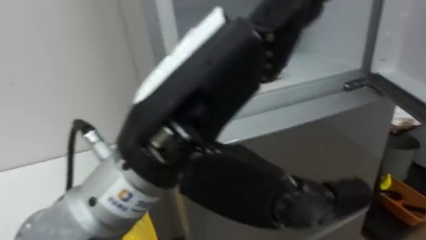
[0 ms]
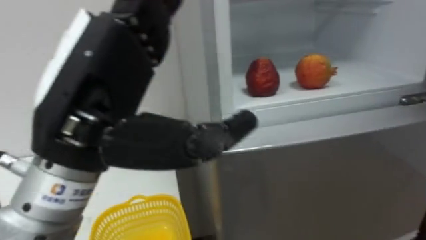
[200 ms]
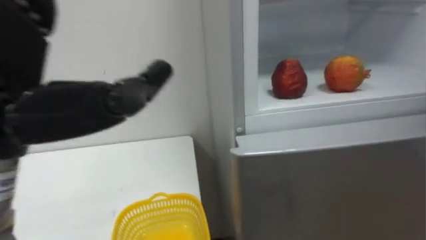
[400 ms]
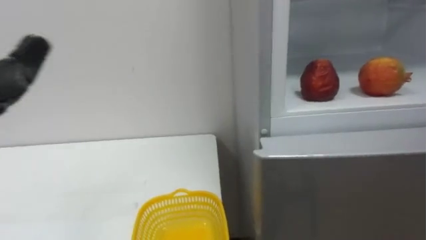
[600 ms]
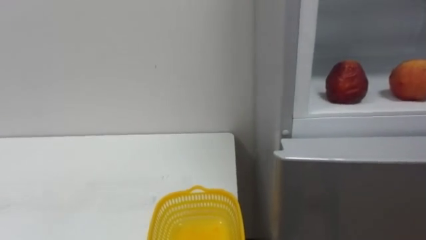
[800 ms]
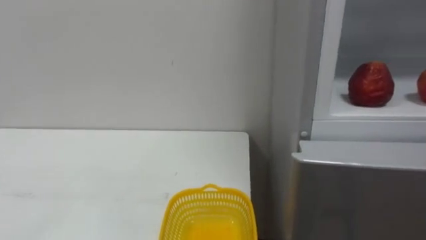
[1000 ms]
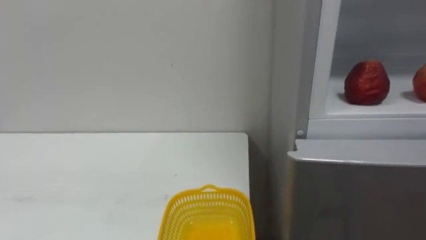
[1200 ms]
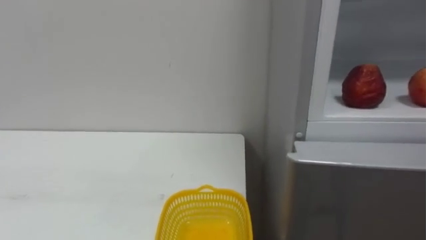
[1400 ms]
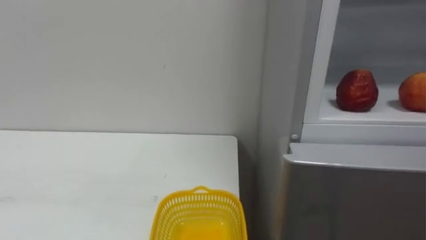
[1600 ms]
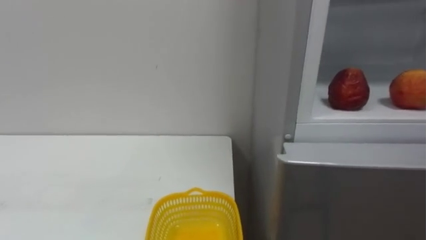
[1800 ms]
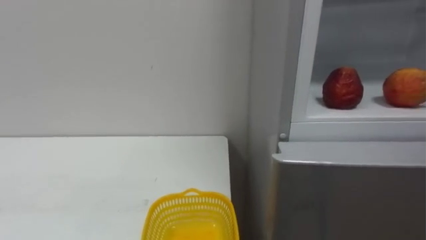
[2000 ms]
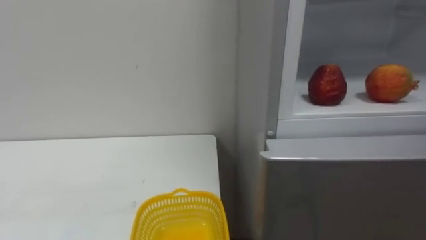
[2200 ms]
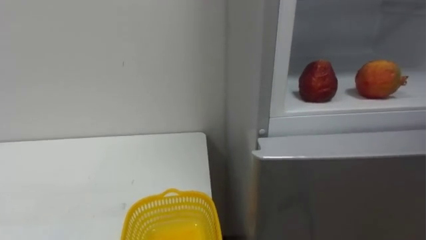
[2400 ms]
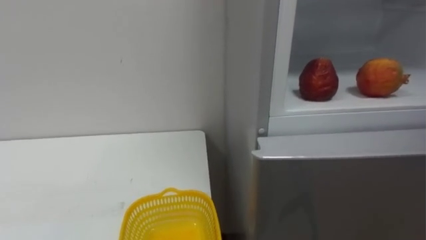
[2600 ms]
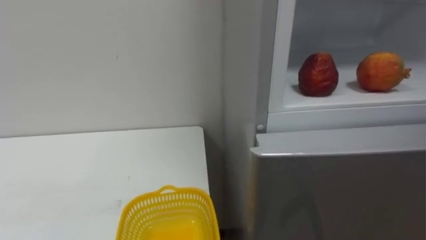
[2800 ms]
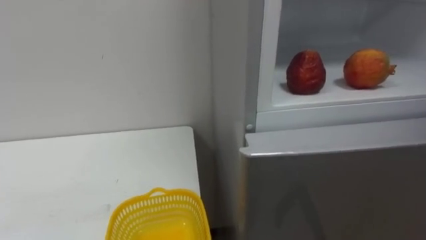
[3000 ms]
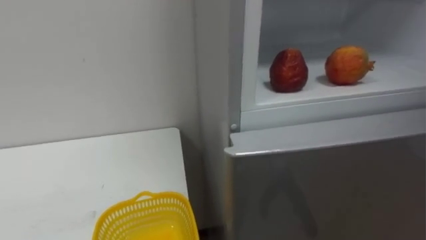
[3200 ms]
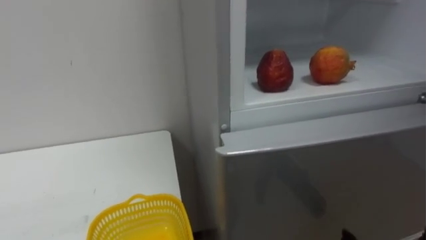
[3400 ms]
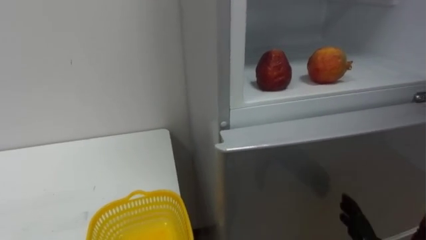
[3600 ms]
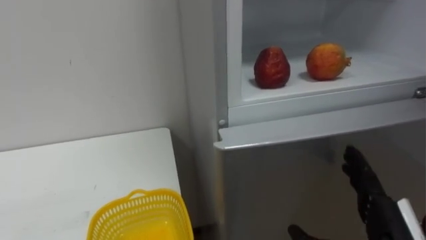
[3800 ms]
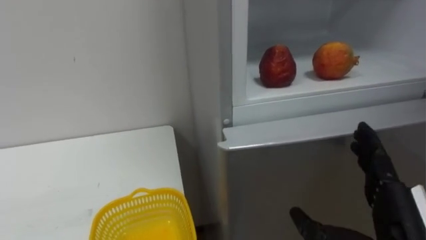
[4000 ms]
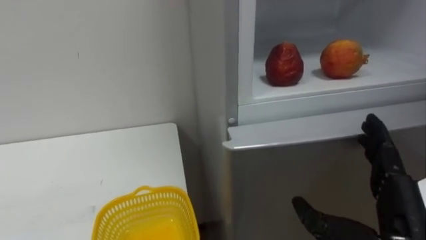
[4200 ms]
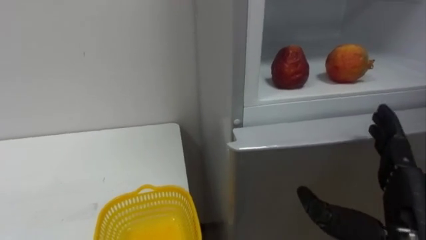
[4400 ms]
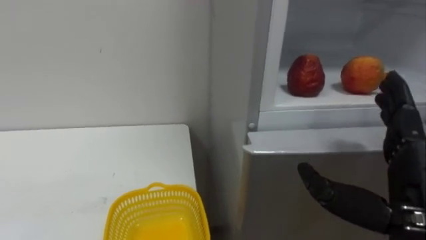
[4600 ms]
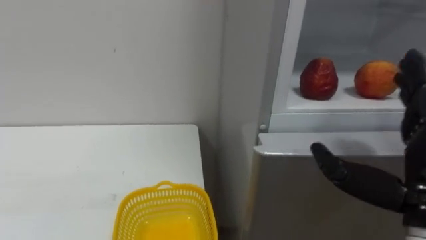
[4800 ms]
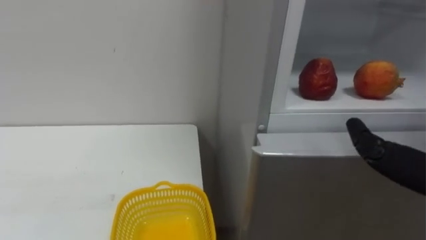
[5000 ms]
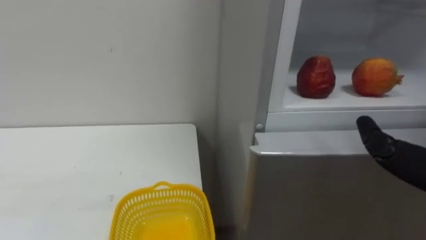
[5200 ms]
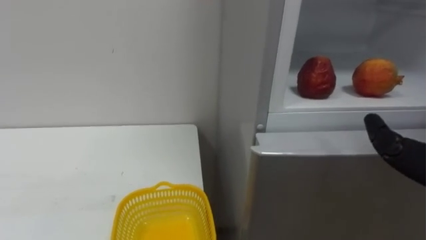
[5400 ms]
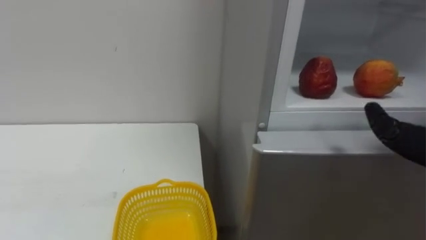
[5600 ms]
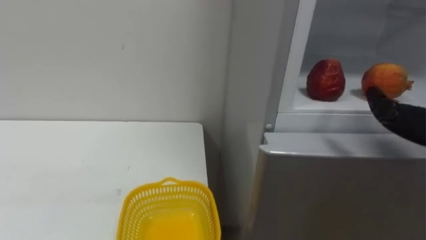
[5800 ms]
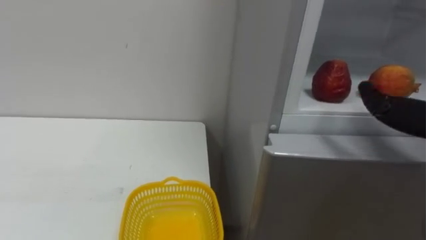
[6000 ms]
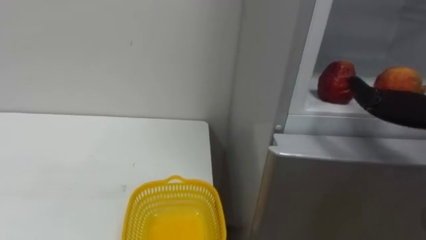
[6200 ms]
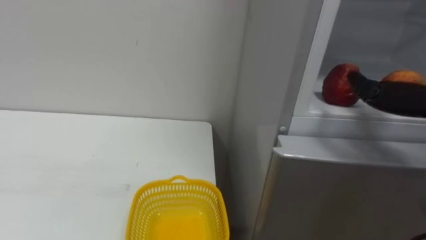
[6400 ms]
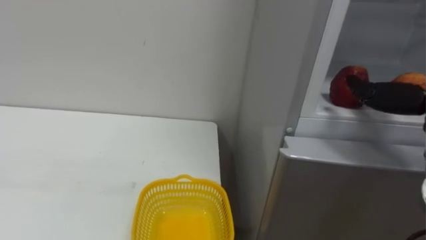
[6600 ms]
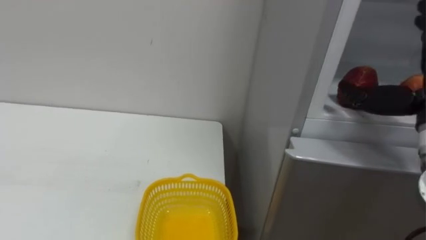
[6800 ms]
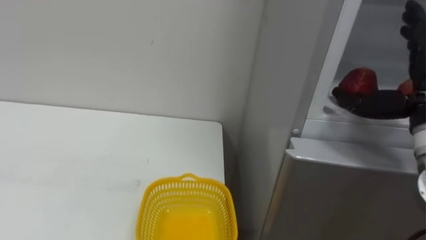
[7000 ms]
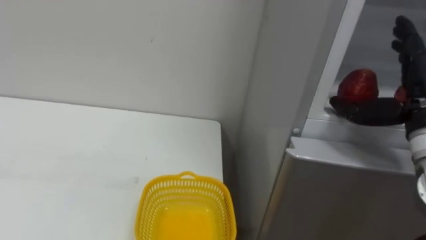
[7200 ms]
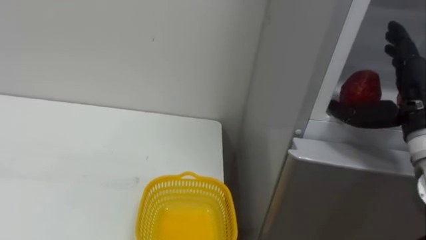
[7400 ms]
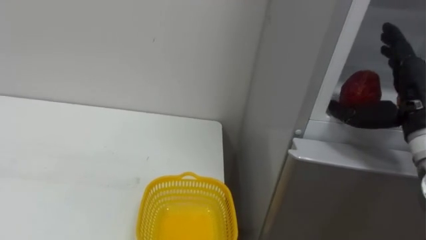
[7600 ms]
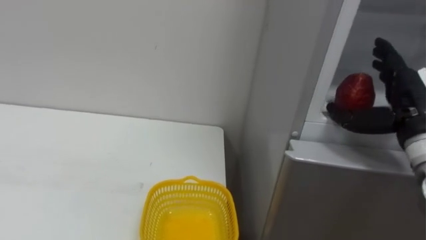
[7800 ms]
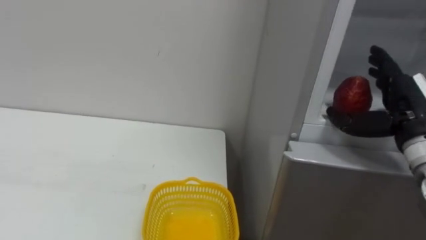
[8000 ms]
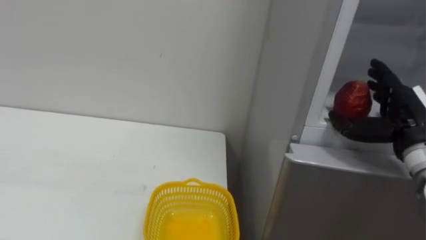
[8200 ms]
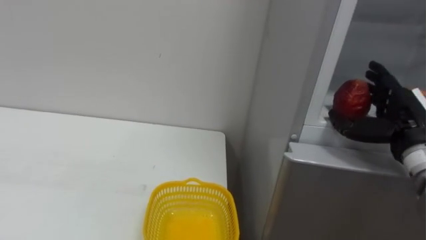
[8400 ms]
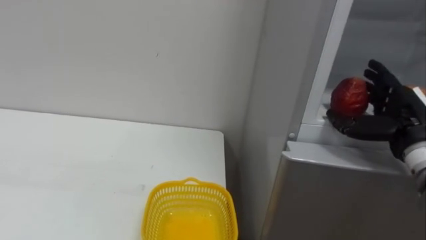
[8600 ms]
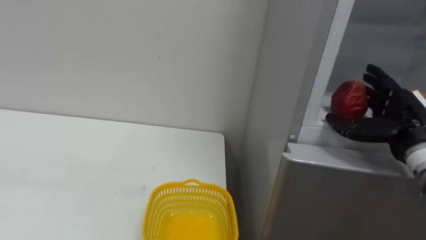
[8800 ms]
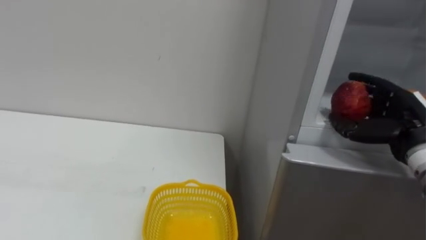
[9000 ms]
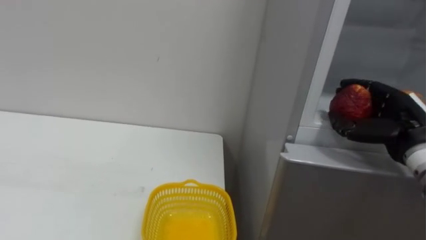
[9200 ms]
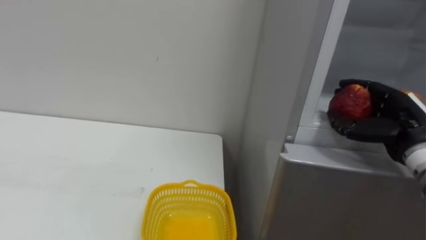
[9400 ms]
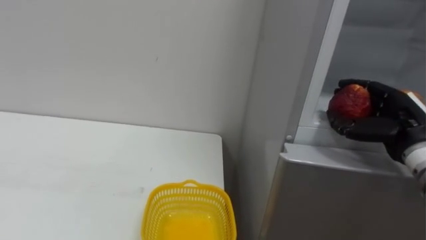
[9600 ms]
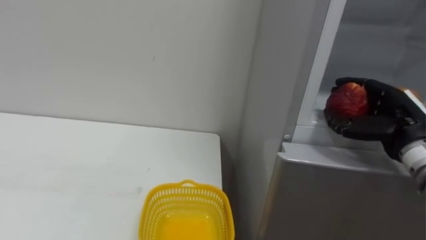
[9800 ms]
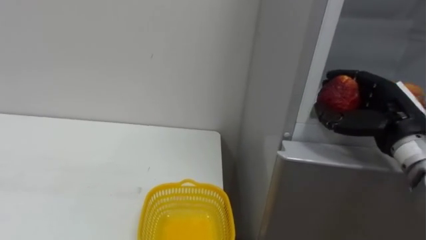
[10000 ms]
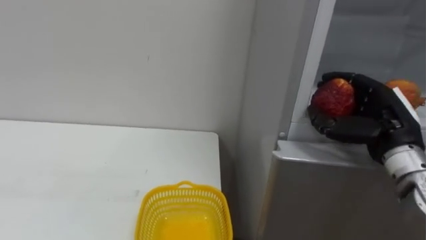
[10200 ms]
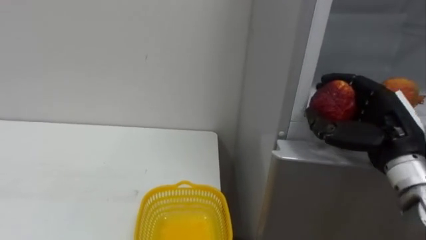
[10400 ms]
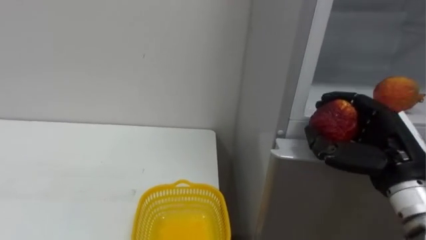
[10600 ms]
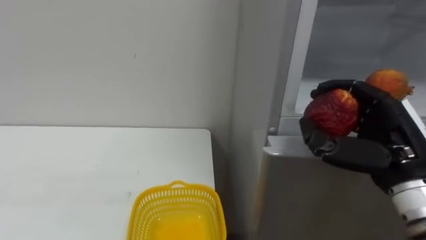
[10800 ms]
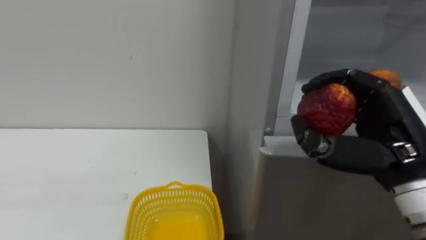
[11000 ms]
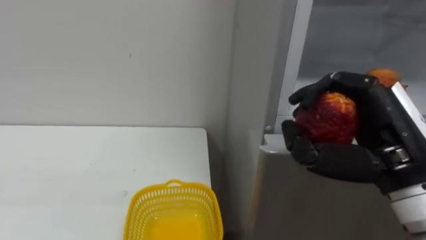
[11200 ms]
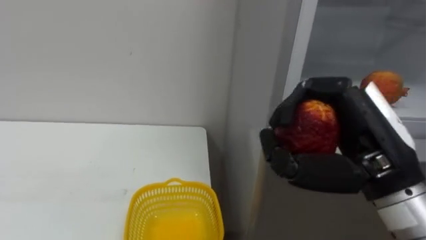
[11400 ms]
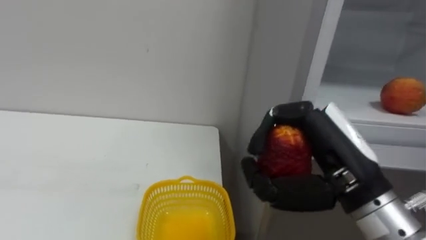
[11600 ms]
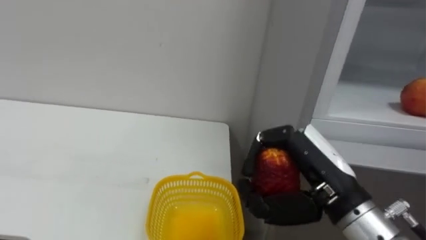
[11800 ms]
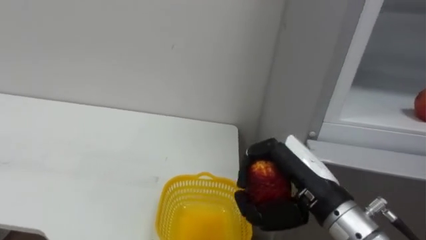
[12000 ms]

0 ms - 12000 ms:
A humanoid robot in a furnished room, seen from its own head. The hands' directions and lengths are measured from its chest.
Task of the whole recording: Open the refrigerator door, take out the apple and the pomegranate, place them in the fruit basket on the left, and close the refrigerator door.
7600 ms - 9000 ms: The right hand travels downward by about 5 cm.
9000 ms - 10400 ms: The right hand heads to the left, covering approximately 5 cm.
10400 ms - 12000 ms: The right hand heads to the left and backward, covering about 15 cm.

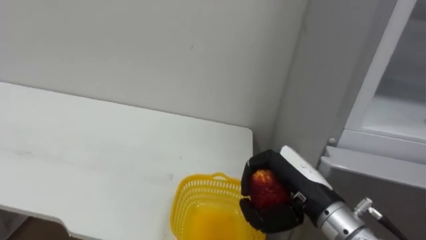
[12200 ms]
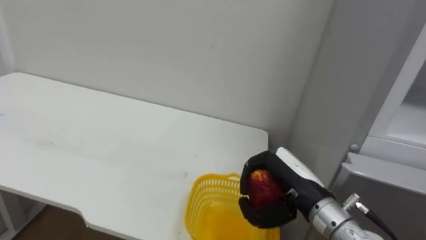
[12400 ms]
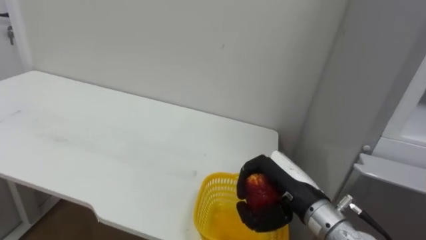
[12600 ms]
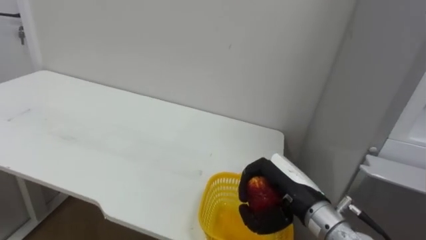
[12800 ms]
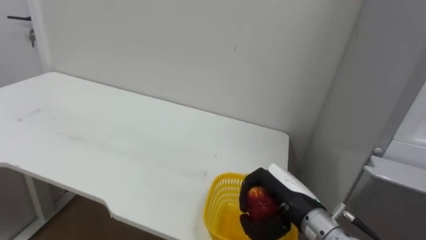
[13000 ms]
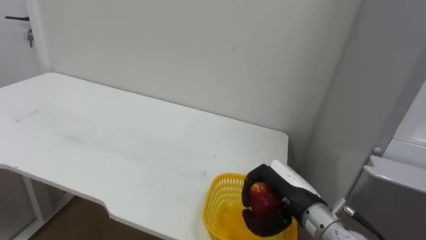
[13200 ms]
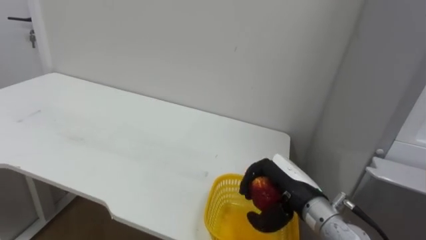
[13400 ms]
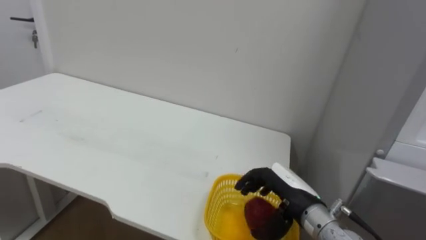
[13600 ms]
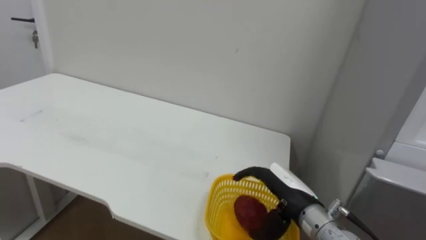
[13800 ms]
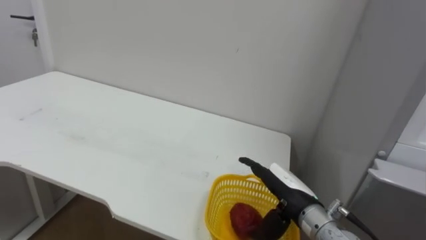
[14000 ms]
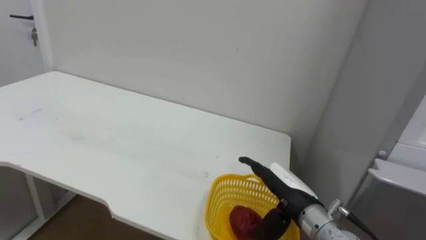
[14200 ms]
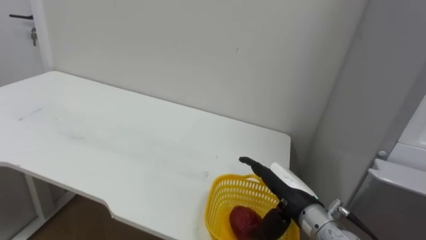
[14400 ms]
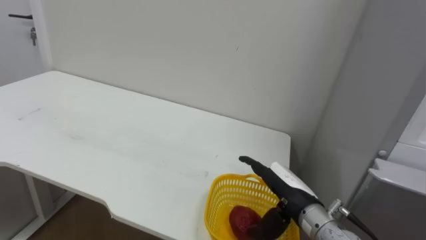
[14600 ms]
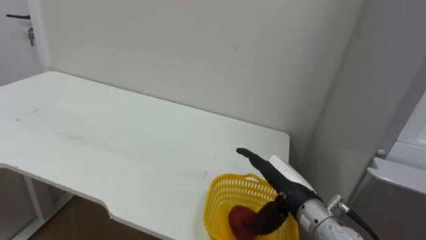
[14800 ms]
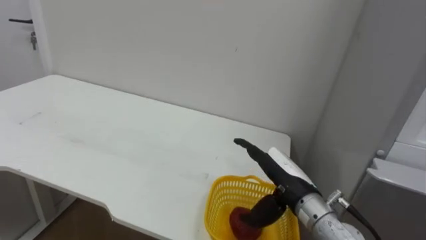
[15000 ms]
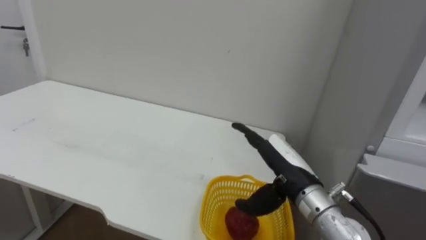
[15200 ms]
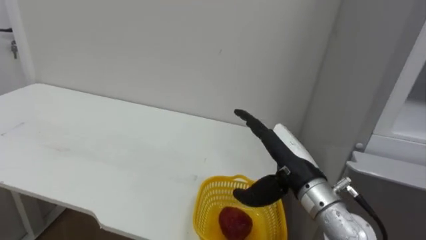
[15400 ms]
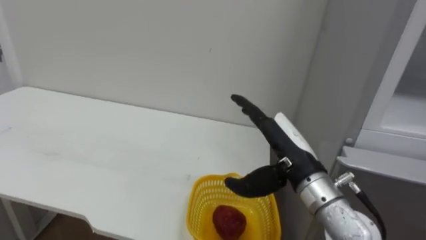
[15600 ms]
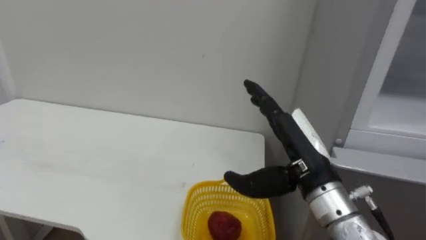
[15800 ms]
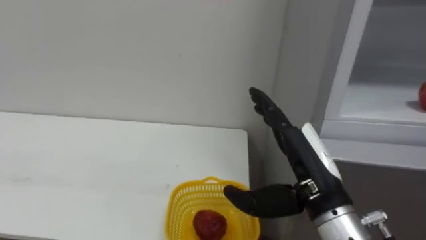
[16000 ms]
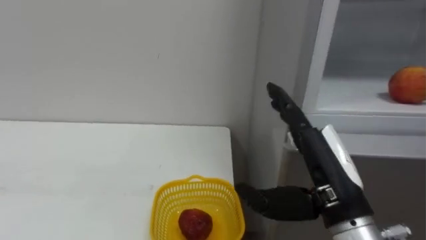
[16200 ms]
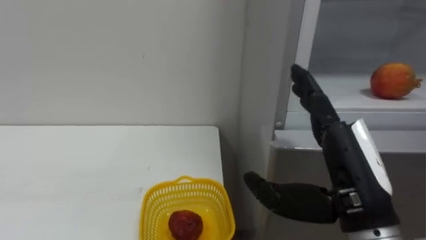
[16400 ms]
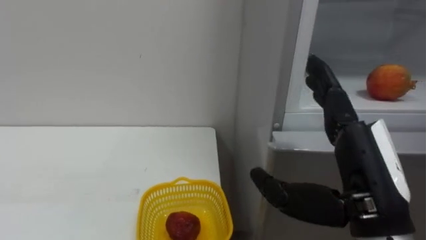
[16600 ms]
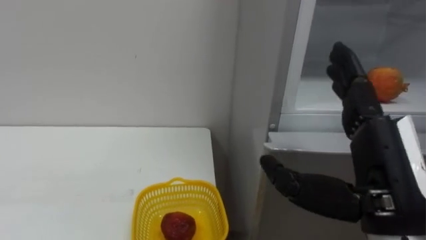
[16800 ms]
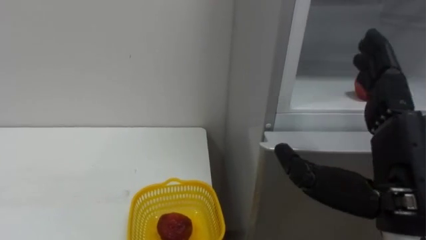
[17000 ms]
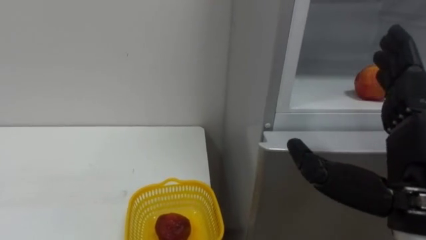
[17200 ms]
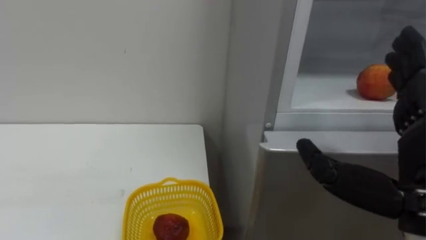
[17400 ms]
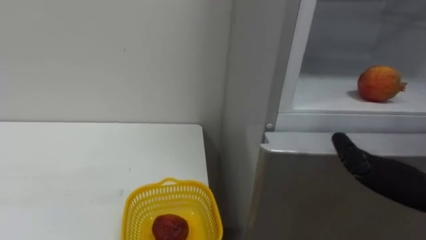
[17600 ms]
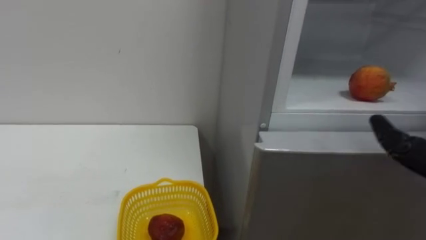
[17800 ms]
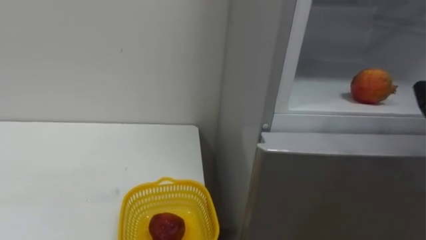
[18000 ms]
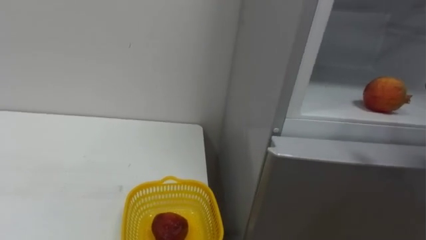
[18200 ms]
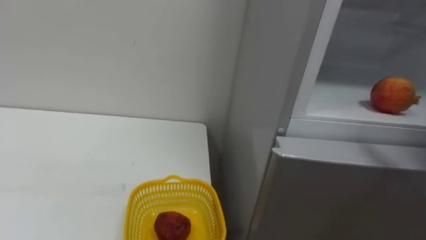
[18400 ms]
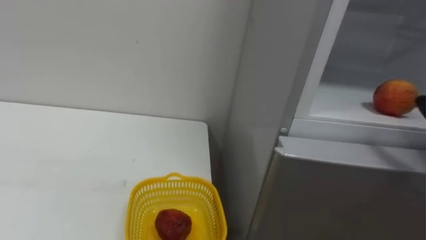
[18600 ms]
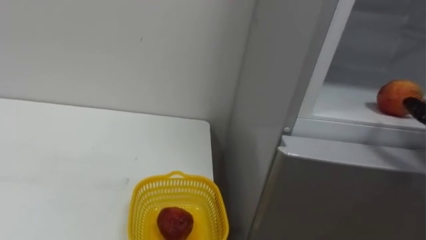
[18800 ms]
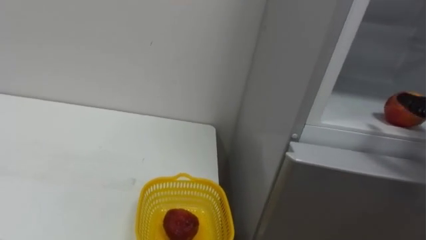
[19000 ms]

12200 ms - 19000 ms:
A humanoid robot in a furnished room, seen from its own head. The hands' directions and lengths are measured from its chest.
Task of the whole recording: Open the refrigerator door, take out the apple and the pomegranate, place them in the fruit basket on the left, and close the refrigerator door.
12200 ms - 13600 ms: The right hand goes about 5 cm downward, and opens up.
15000 ms - 16200 ms: The right hand heads upward and backward, covering approximately 15 cm.
